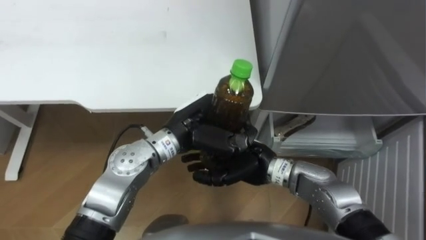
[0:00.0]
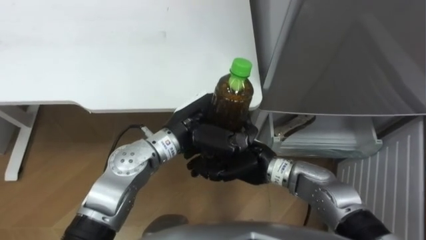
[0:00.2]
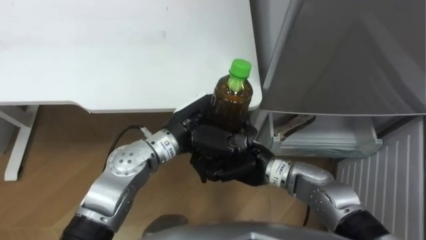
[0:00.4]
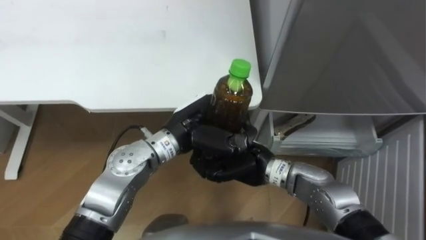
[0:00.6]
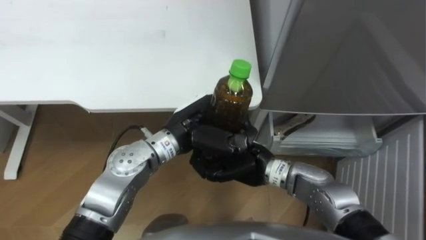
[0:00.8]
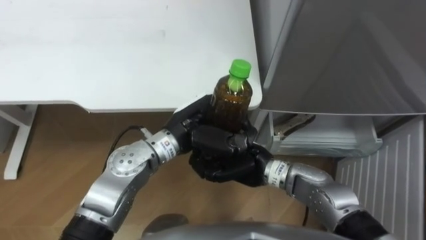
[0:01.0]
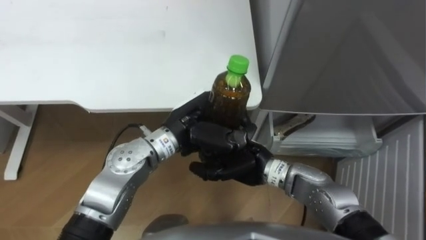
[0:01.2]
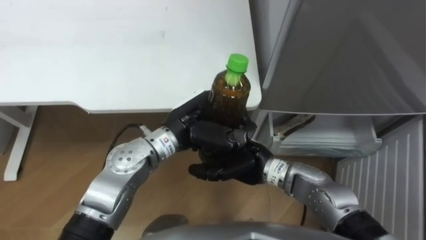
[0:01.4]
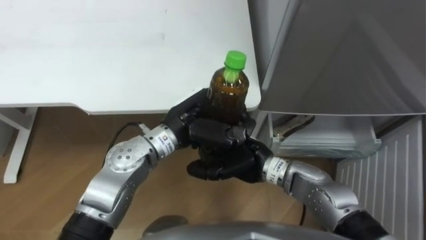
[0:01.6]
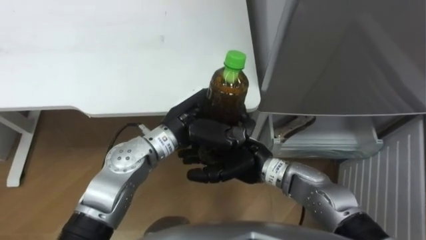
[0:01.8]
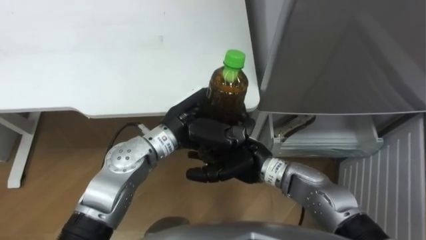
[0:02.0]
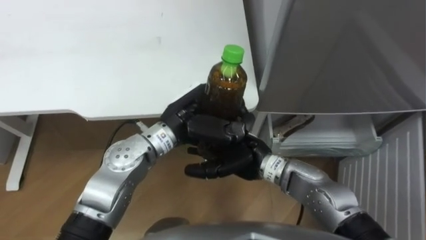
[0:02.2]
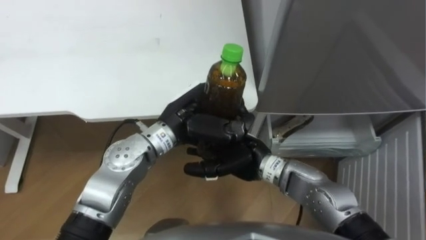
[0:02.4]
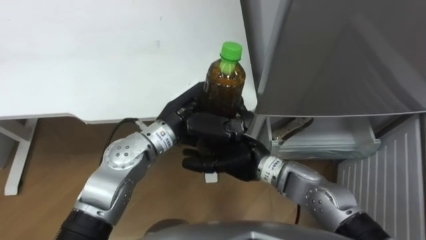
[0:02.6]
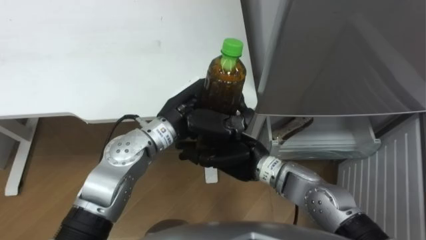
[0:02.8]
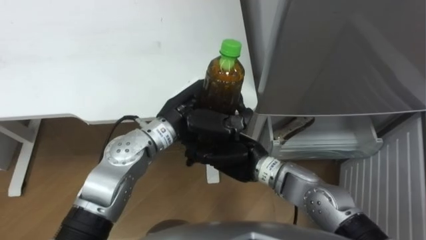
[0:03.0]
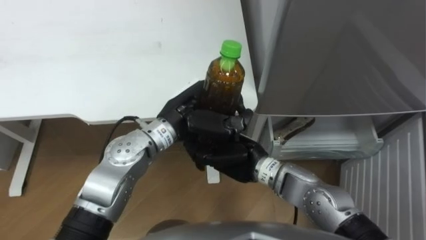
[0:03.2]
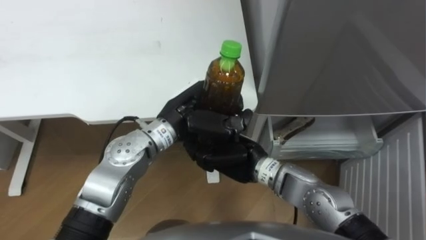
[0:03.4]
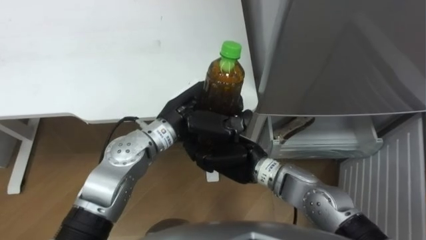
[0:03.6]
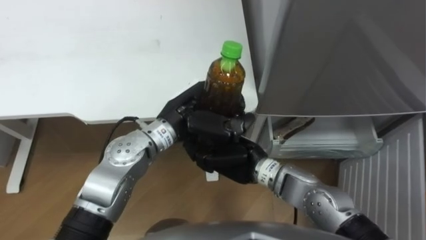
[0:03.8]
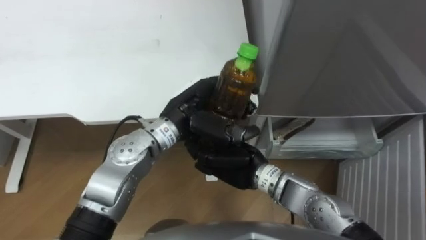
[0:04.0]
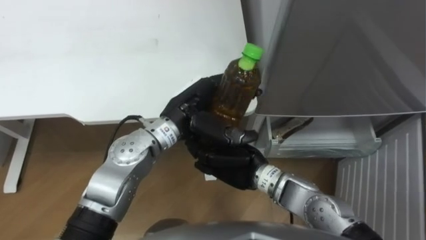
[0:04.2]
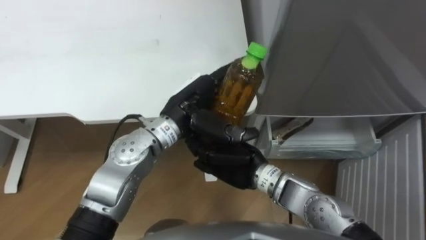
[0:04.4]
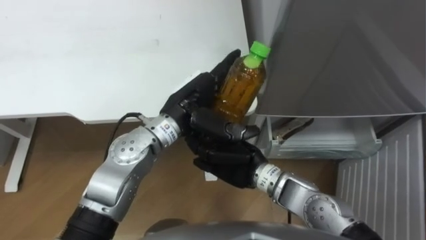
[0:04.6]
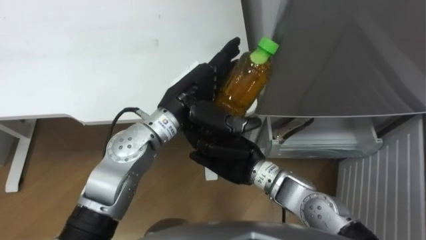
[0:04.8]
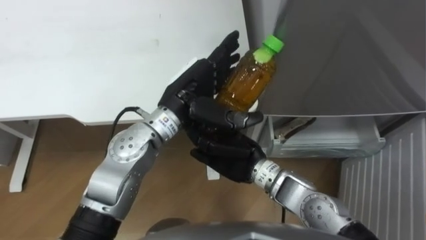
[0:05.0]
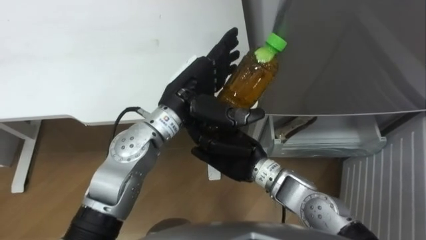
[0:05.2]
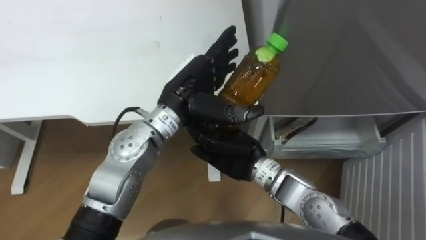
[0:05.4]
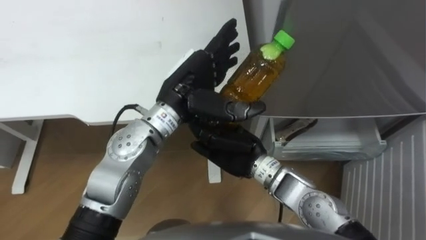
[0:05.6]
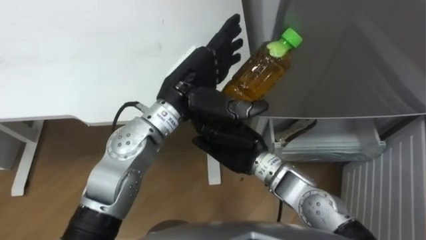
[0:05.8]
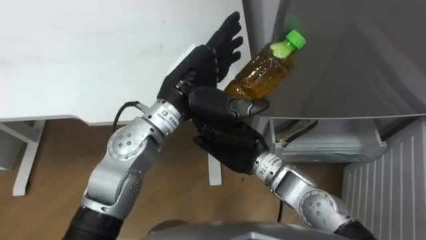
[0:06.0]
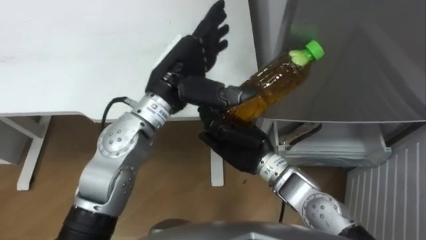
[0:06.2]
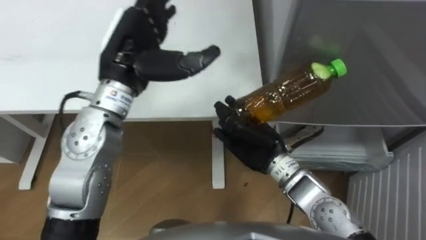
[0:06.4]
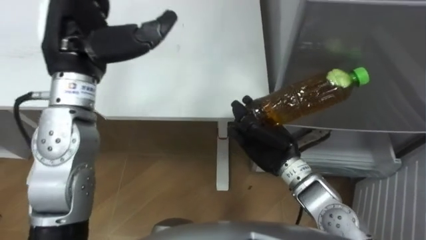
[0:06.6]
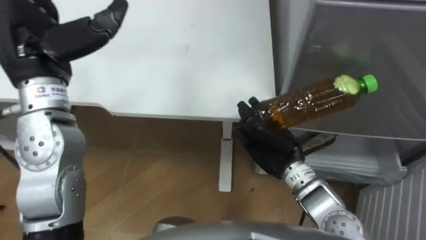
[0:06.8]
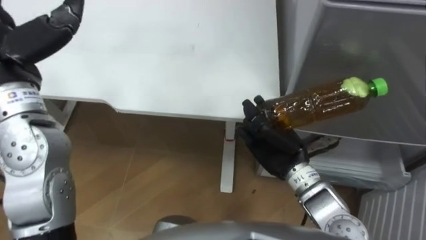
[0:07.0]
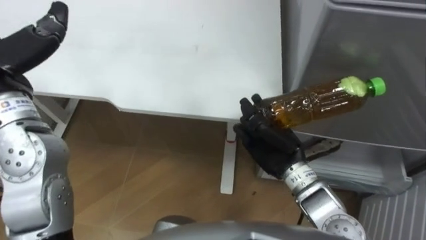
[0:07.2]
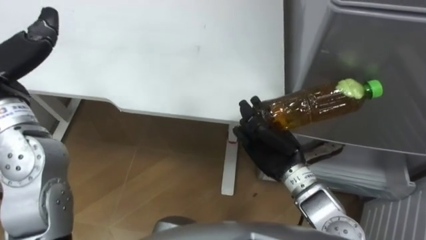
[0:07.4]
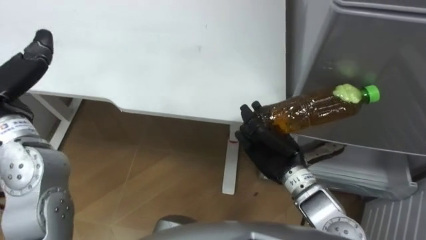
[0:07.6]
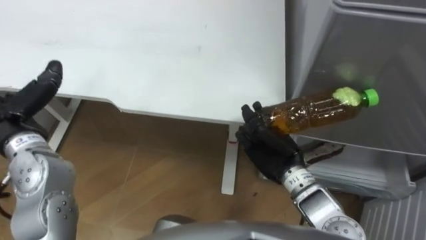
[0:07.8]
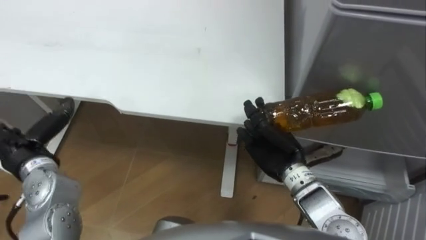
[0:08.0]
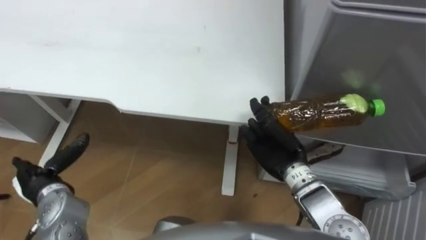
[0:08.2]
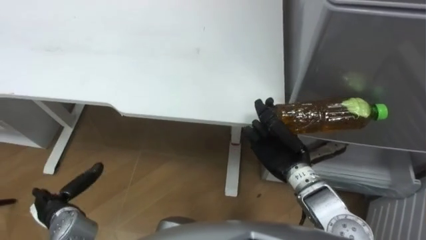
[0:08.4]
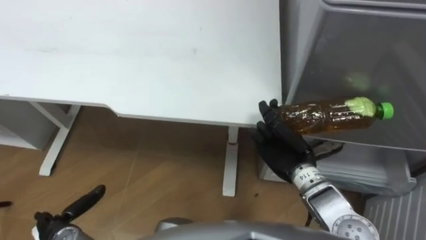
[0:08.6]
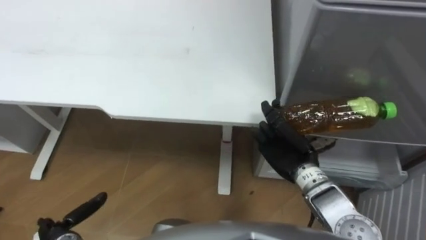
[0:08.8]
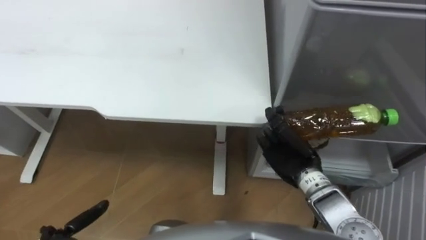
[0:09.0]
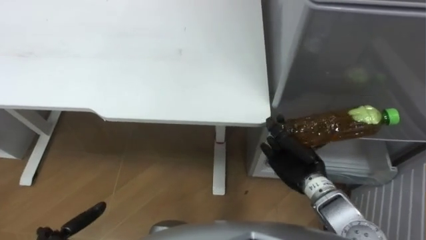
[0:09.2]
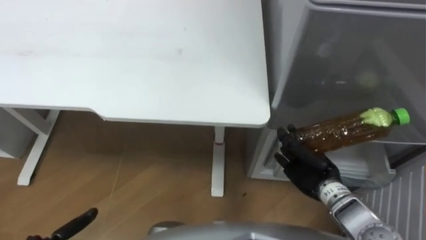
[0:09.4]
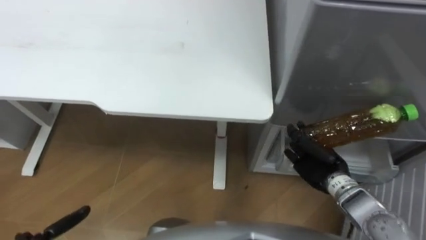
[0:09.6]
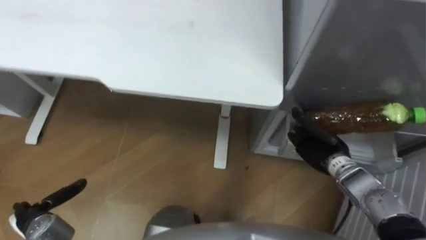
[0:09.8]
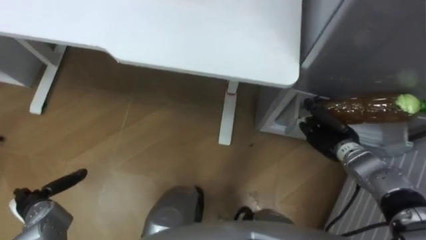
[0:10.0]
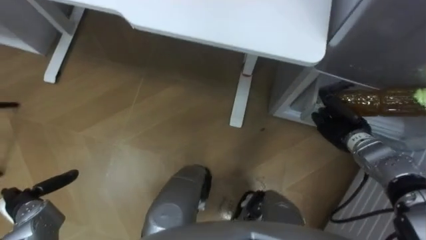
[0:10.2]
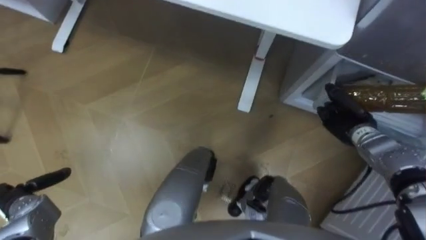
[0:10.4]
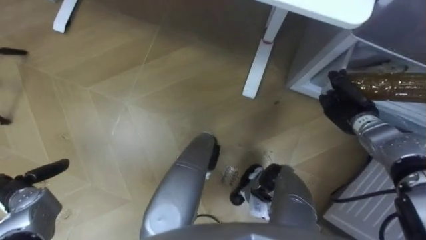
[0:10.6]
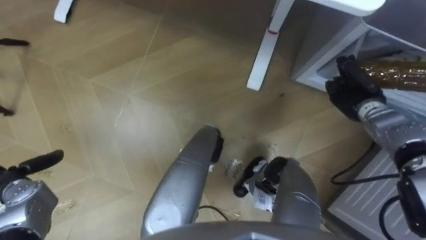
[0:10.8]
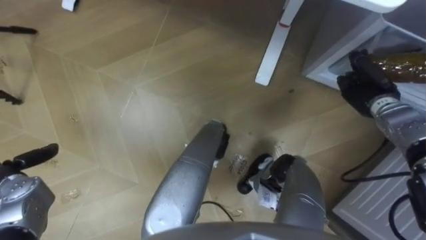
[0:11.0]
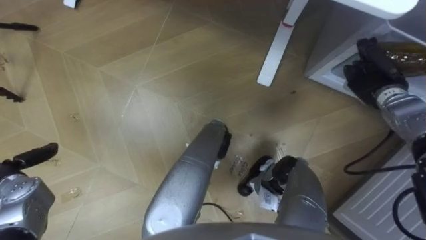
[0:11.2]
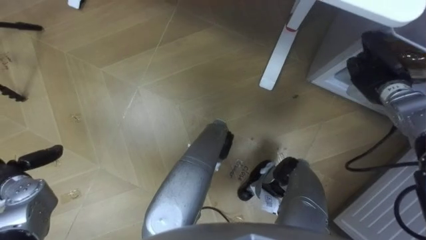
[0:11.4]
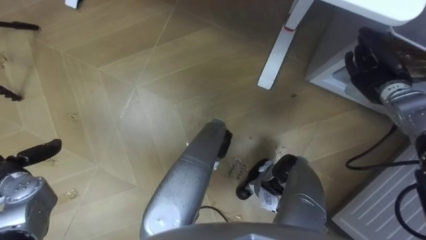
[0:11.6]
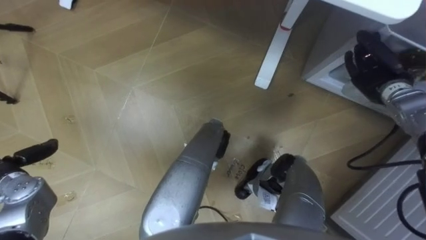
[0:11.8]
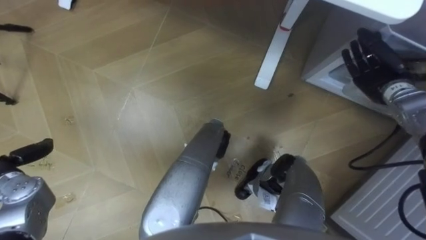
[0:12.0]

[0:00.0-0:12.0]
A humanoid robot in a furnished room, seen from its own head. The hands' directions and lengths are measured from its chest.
Task of the whole recording: Place the drink on the table on the bottom shelf of the refrigerator, then close the drawer and the refrigerator door.
0:00.0 to 0:01.6: The right hand closes, then reopens.
0:03.0 to 0:04.4: The left hand opens up.
0:04.4 to 0:06.0: The left hand is displaced upward by about 5 cm.
0:06.0 to 0:07.6: The right hand is displaced to the right by some 10 cm.
0:09.0 to 0:10.4: The right hand moves to the right and forward, some 15 cm.
0:10.4 to 0:12.0: The left hand shifts about 5 cm upward; the right hand moves upward and forward, about 10 cm, and opens.

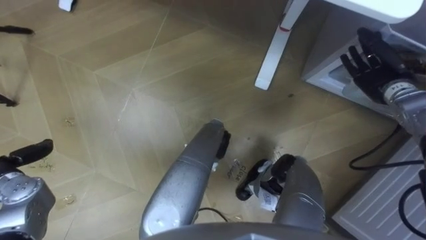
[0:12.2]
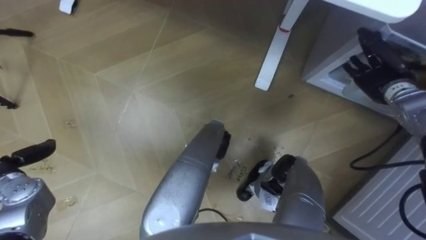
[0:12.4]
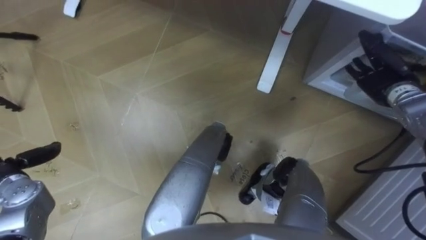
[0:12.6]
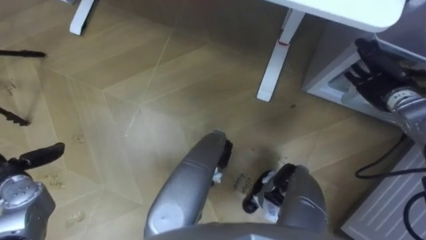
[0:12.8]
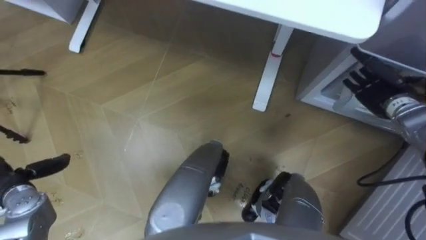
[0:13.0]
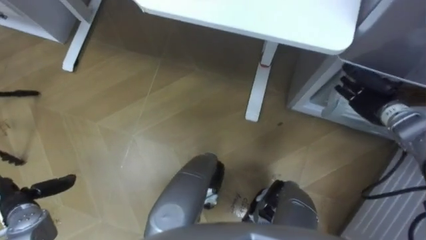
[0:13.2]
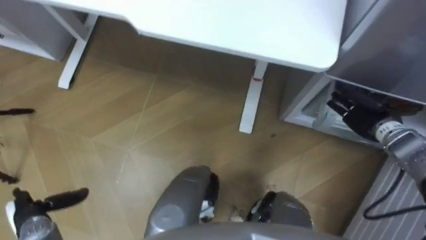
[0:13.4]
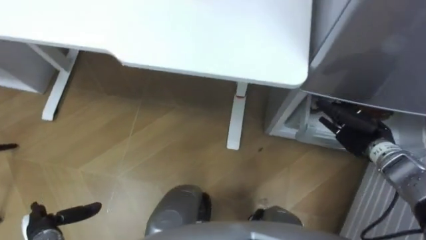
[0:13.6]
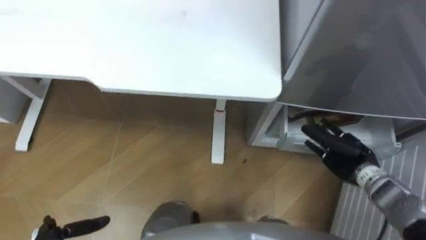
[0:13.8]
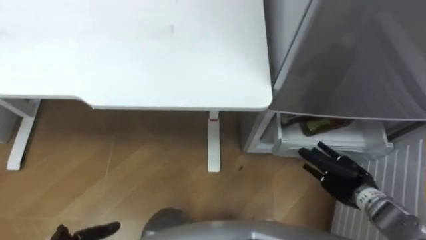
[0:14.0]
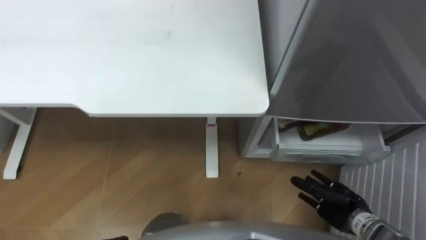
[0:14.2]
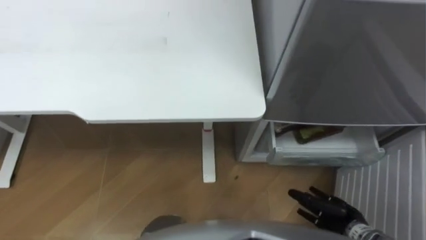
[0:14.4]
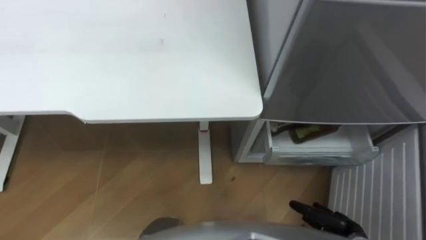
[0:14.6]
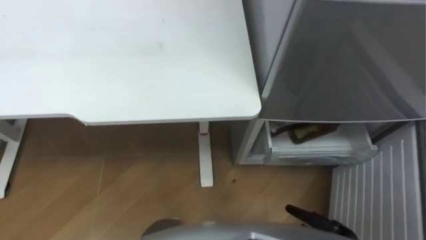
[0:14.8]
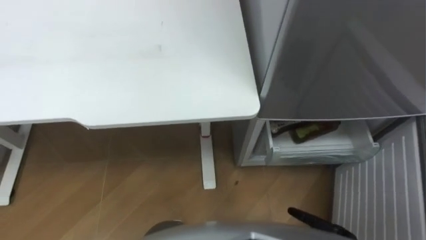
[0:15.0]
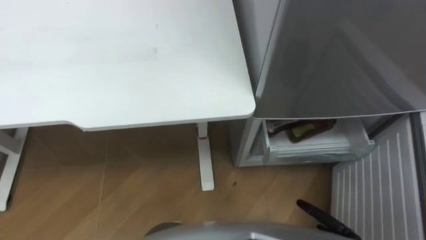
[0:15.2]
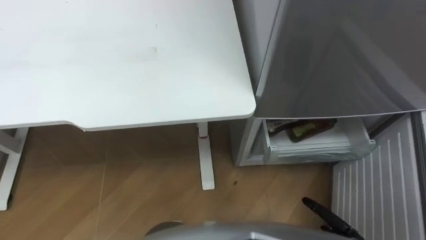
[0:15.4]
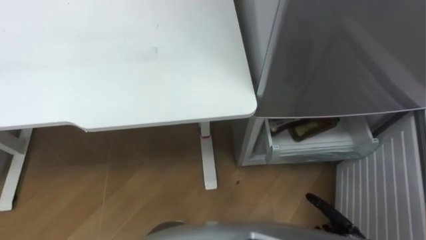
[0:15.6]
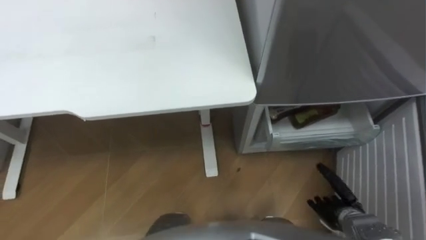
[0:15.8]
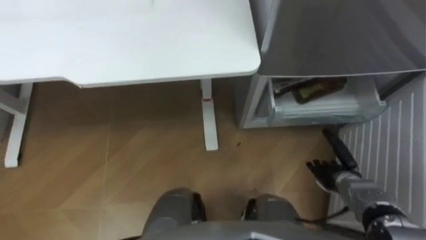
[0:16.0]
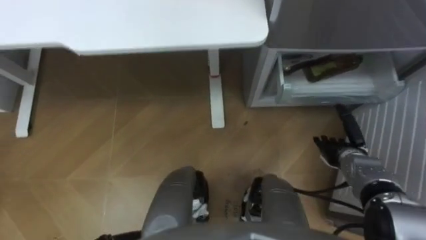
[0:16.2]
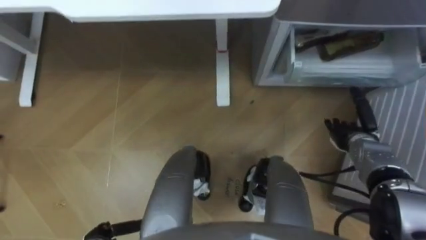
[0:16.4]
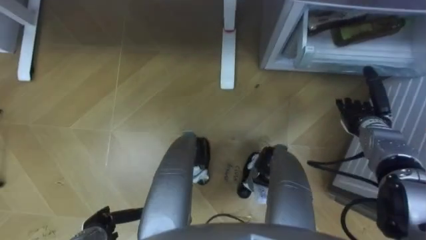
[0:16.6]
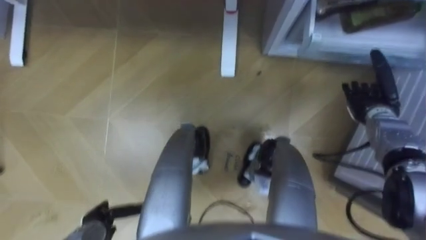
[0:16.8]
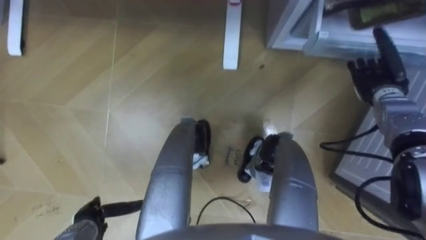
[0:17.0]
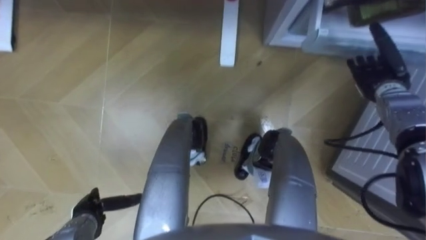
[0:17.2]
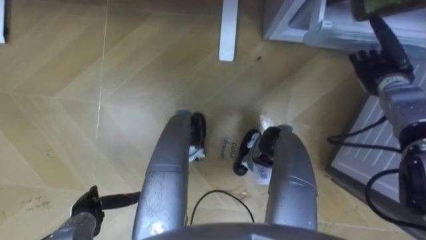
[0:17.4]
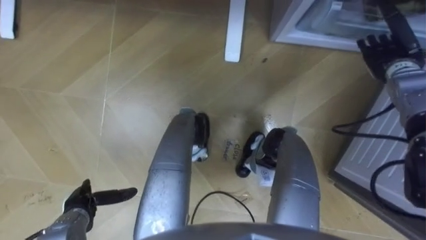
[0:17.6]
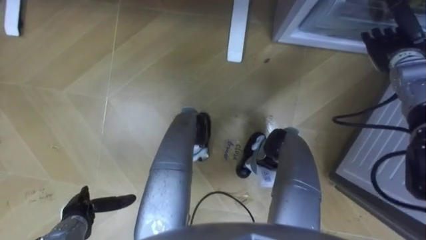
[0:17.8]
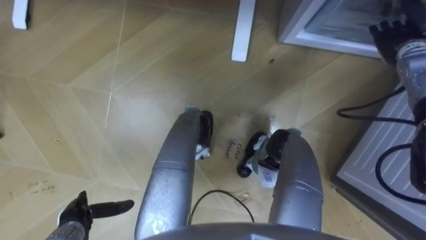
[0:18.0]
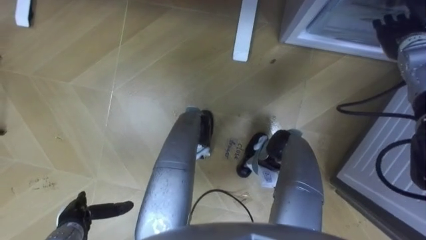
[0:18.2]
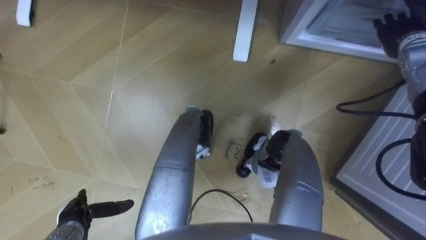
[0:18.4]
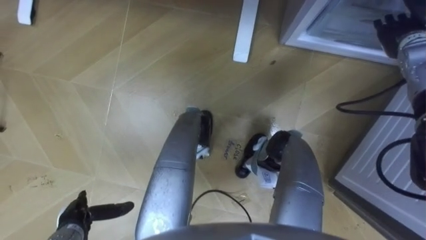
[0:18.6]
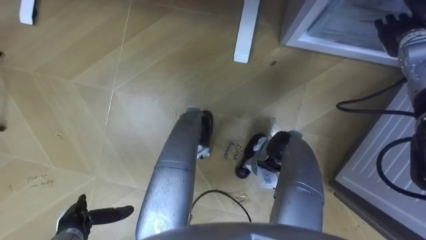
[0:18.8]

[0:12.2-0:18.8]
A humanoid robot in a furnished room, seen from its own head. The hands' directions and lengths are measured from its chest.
Task of the whole recording: Place the drink on the table on the bottom shelf of the refrigerator, then close the drawer and the refrigerator door.
0:12.2 to 0:13.8: The right hand heads backward and downward, covering roughly 15 cm.
0:17.2 to 0:18.8: The right hand shifts roughly 10 cm upward and forward.
